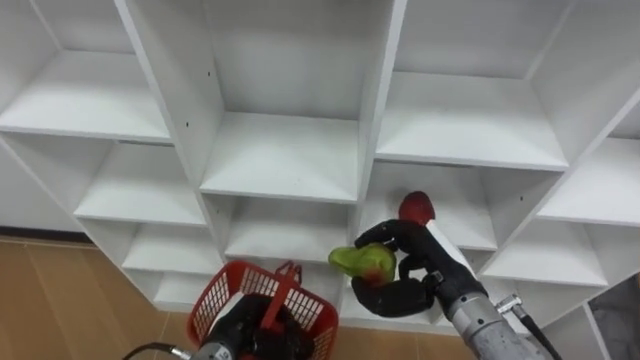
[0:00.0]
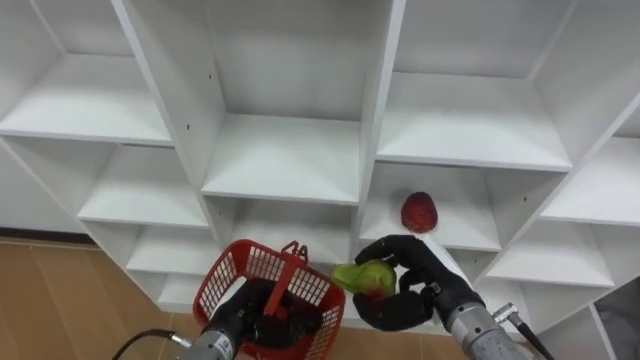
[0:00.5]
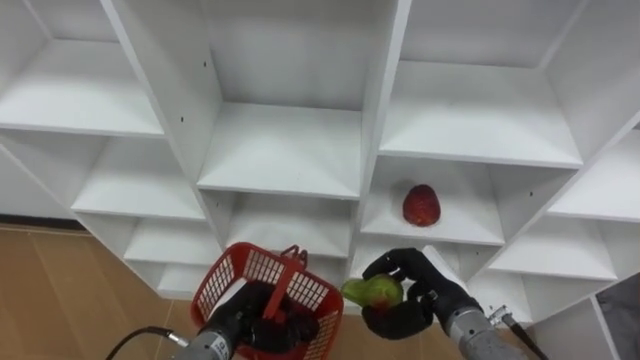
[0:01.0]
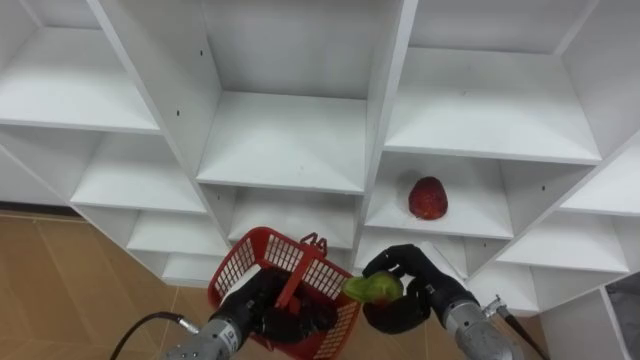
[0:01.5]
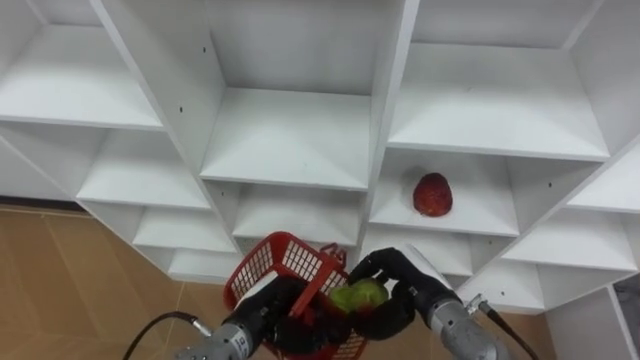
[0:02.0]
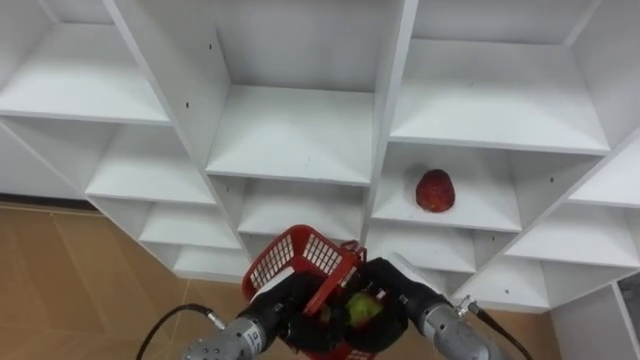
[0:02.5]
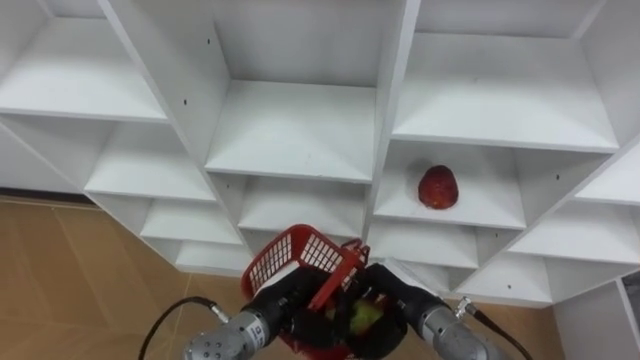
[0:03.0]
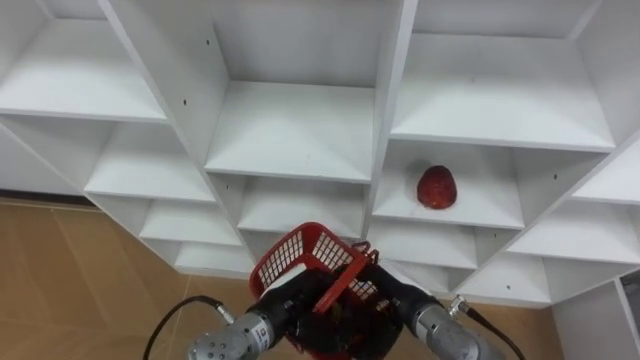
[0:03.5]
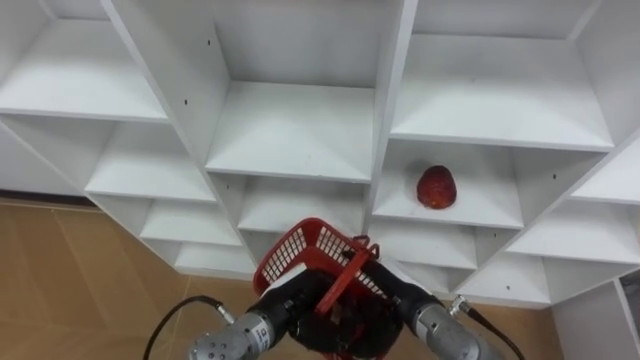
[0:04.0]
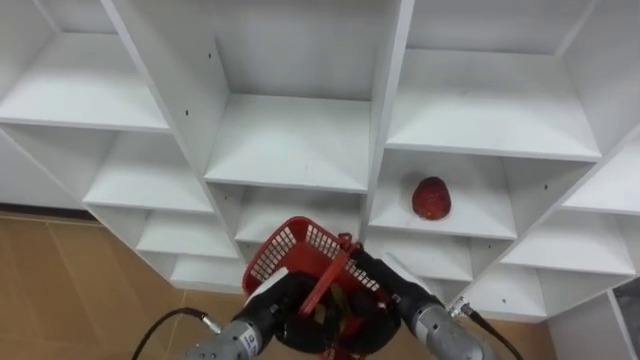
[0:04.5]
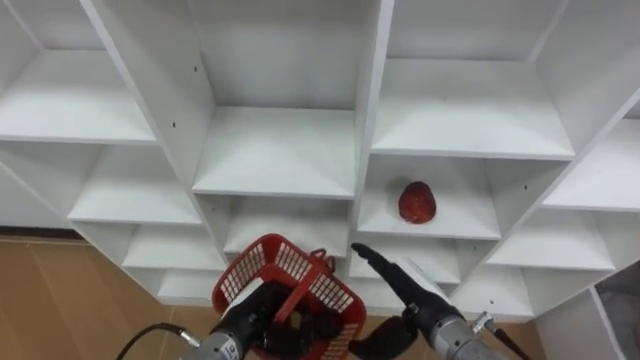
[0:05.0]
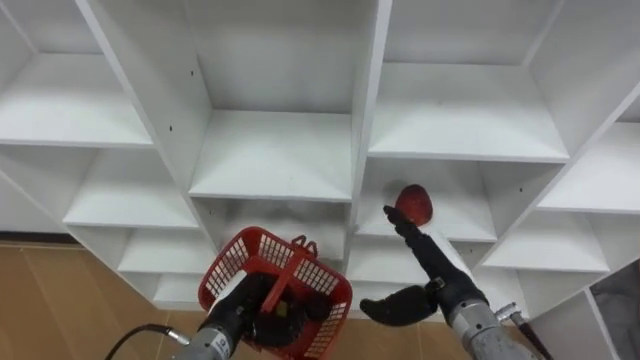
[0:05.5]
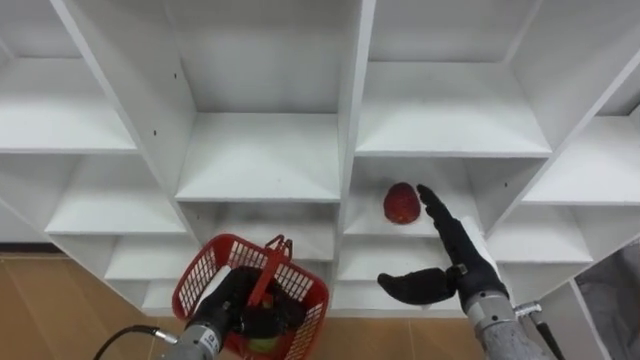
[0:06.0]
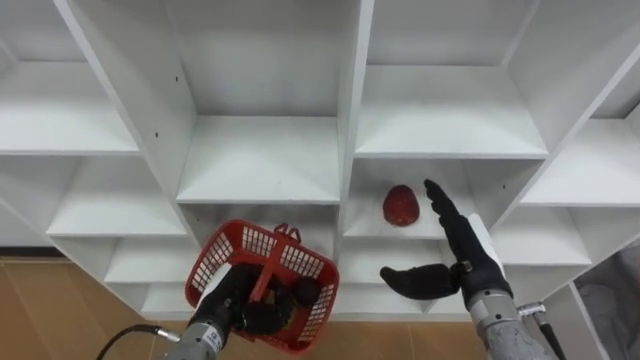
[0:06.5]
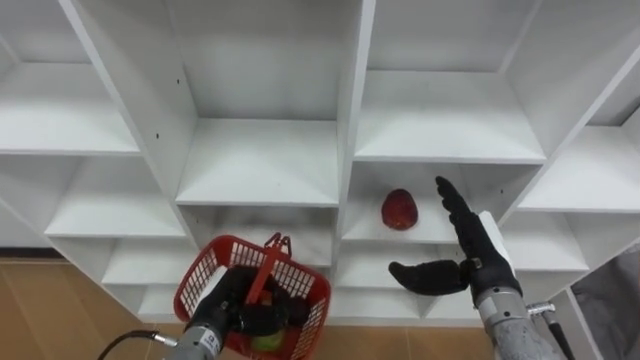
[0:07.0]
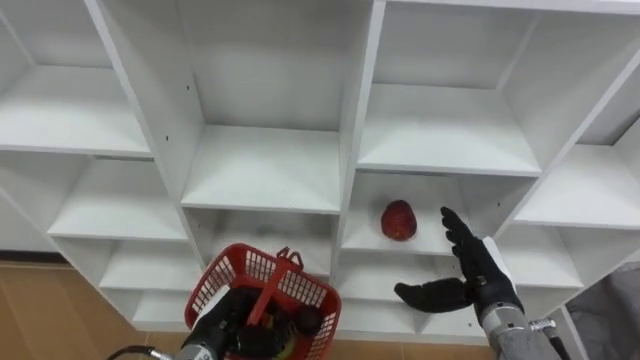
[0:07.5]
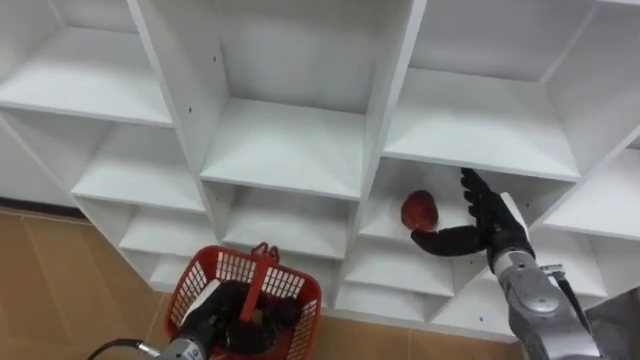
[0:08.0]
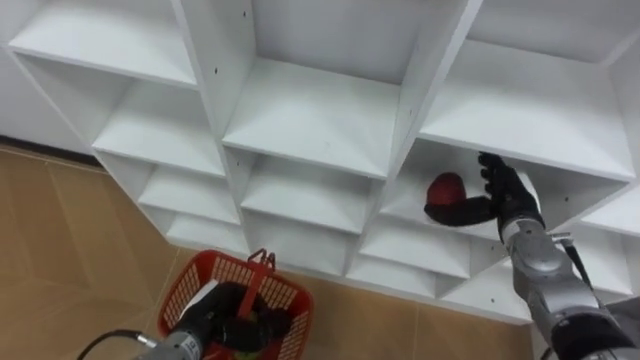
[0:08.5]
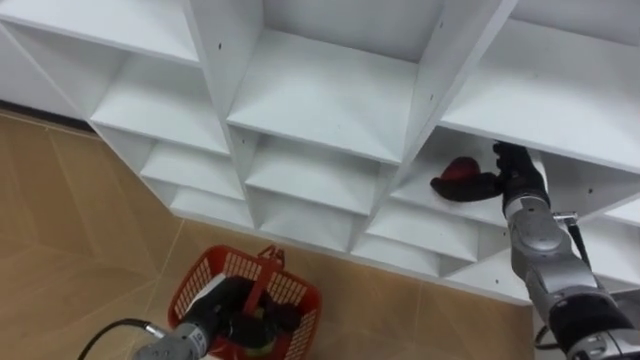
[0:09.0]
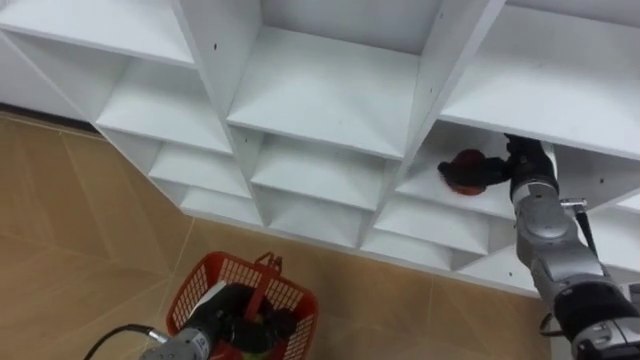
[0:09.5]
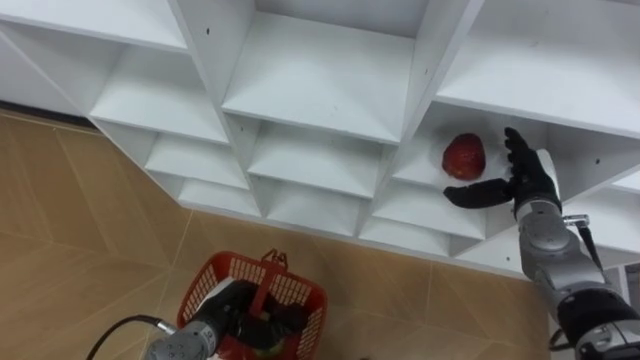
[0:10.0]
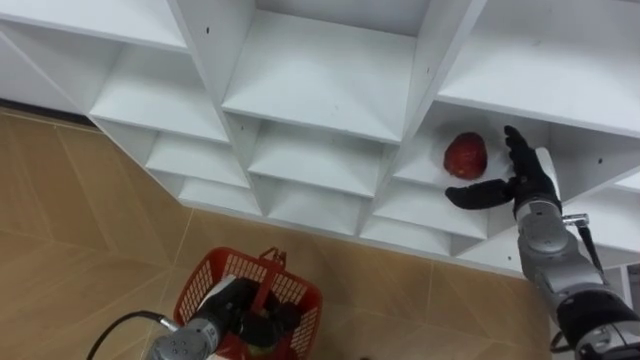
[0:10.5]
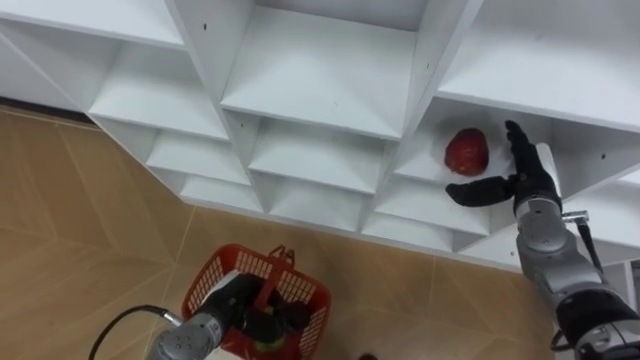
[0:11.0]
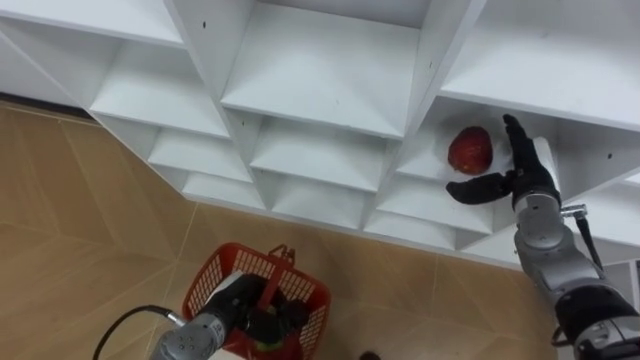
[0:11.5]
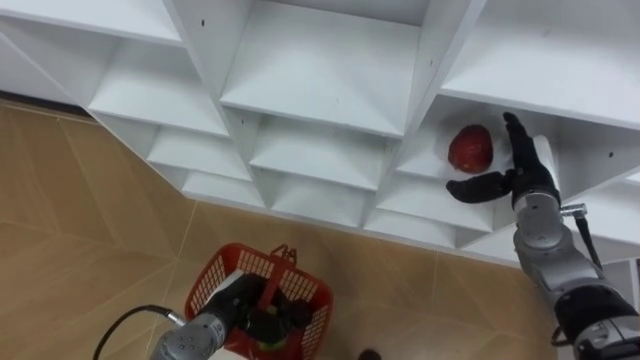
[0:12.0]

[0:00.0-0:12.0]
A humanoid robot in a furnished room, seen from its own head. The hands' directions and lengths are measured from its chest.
Task of the whole recording: Hold the basket and collect the fruits from 3 different cells of the closet into it.
0:00.0 to 0:02.0: The right hand goes approximately 5 cm downward. The left hand moves approximately 5 cm.
0:02.0 to 0:04.0: The right hand opens.
0:04.0 to 0:06.0: The right hand shifts about 10 cm to the right and upward, while the left hand shifts about 10 cm to the left.
0:06.0 to 0:08.0: The right hand shifts roughly 5 cm forward and to the right.
0:08.0 to 0:10.0: The right hand shifts roughly 5 cm forward.

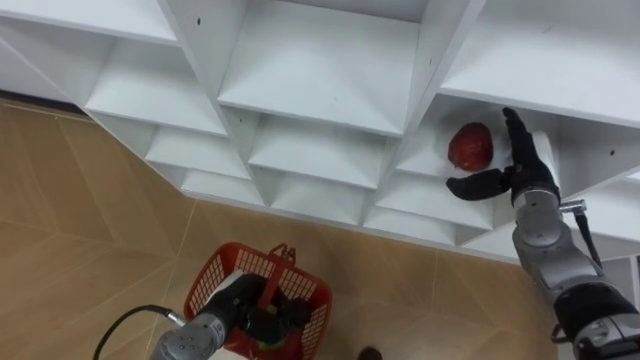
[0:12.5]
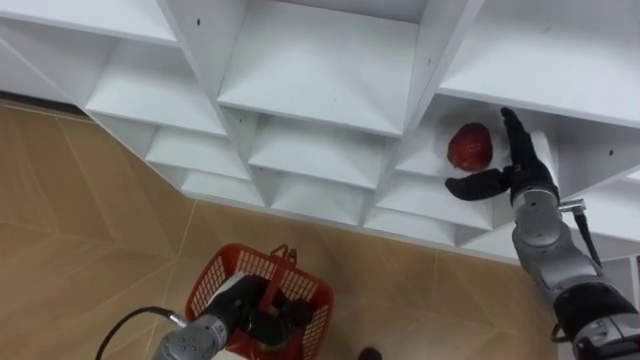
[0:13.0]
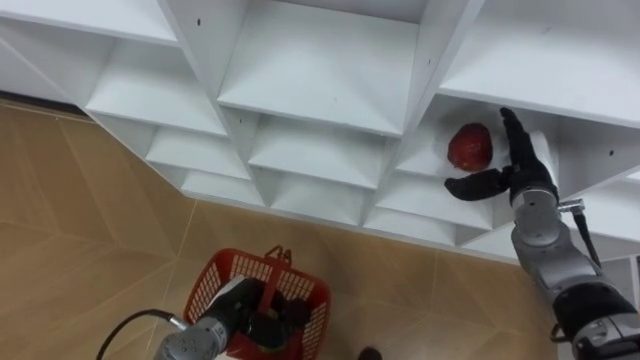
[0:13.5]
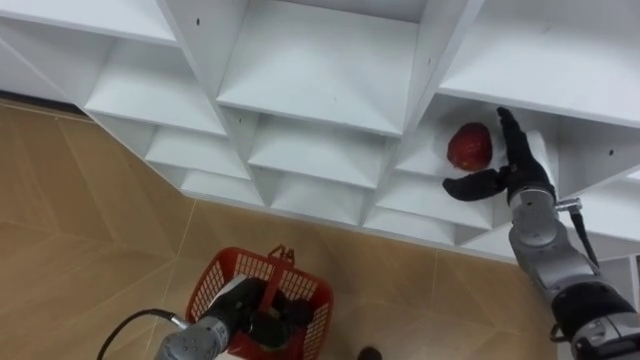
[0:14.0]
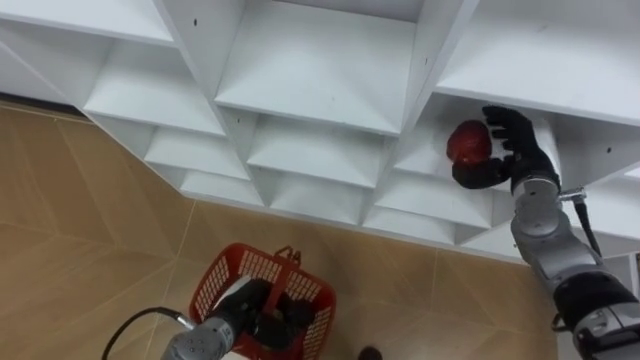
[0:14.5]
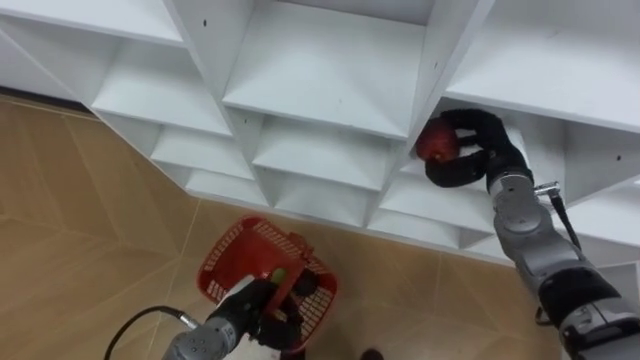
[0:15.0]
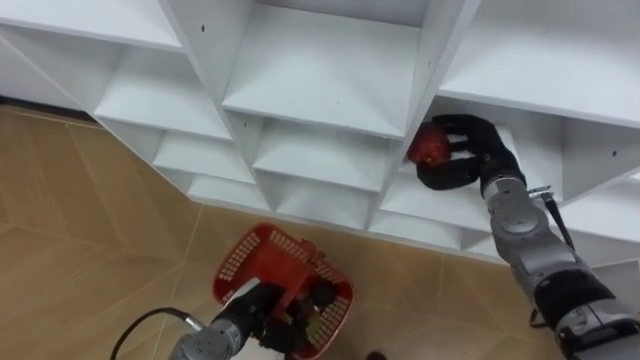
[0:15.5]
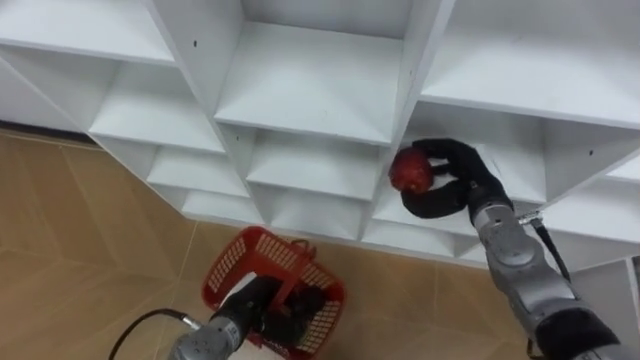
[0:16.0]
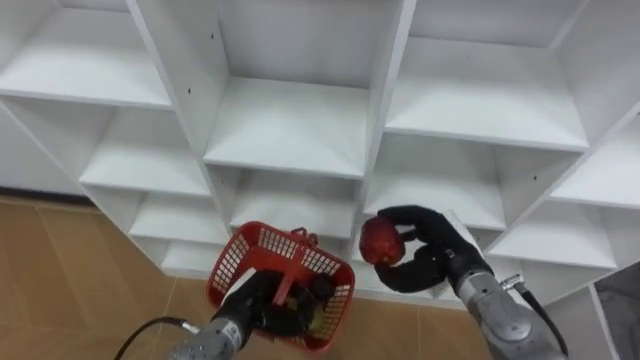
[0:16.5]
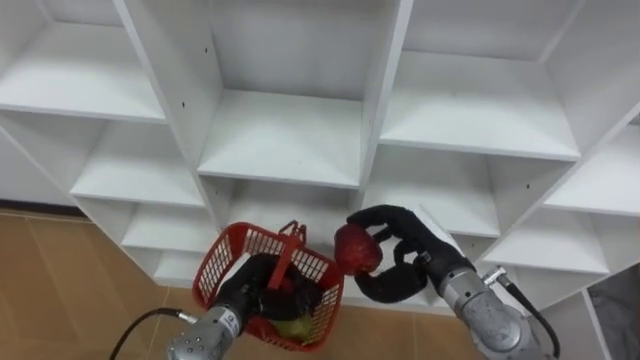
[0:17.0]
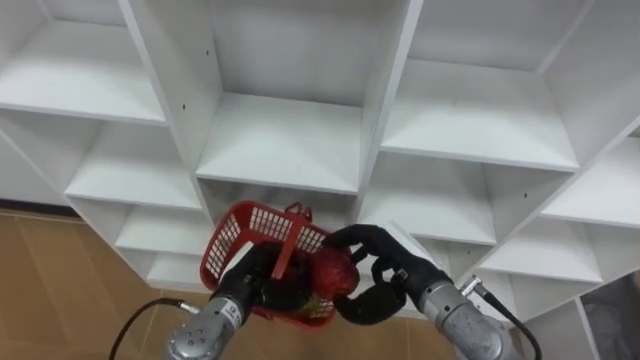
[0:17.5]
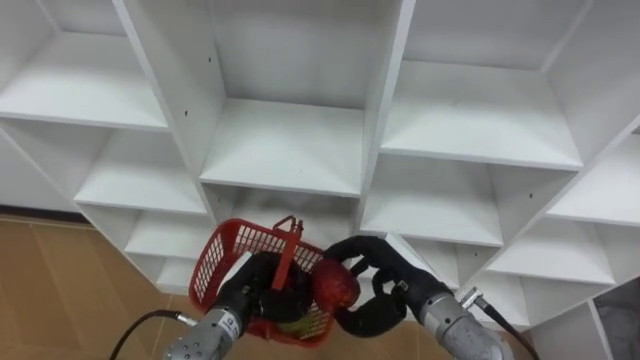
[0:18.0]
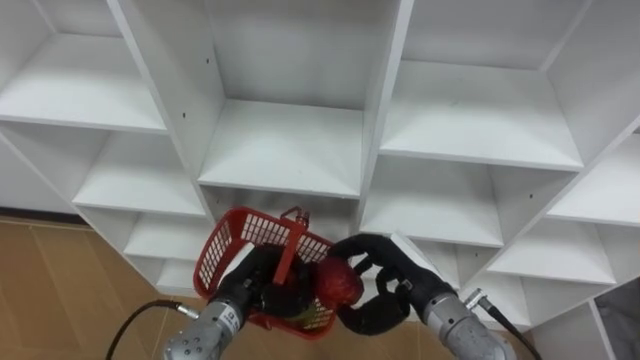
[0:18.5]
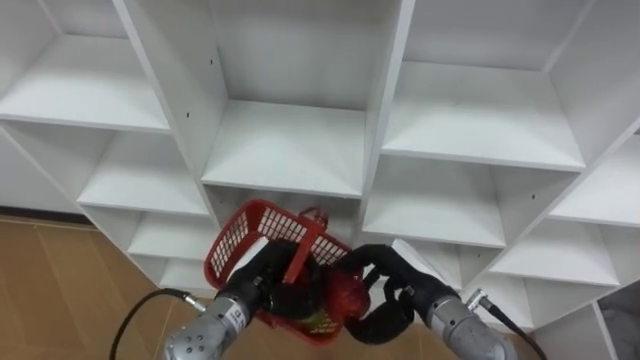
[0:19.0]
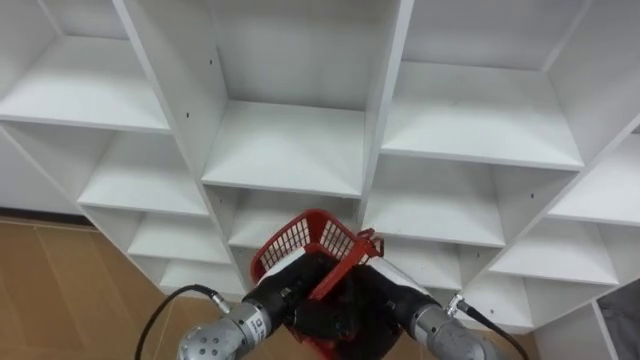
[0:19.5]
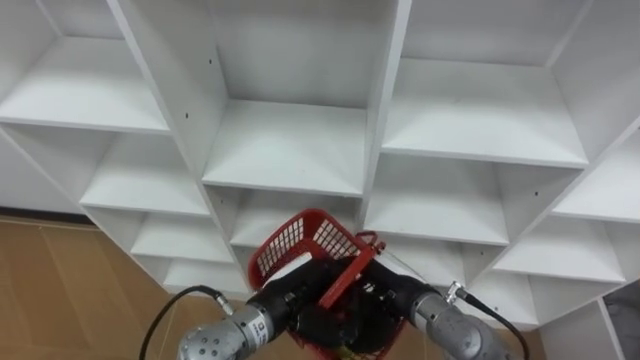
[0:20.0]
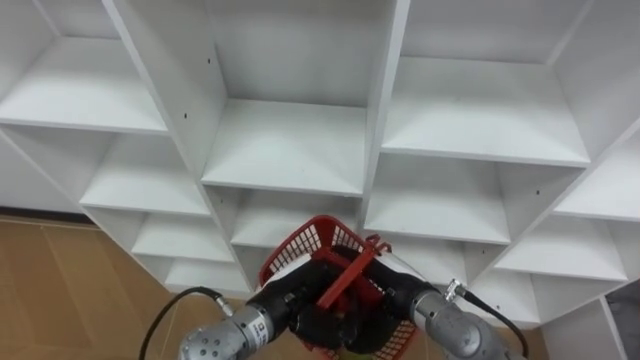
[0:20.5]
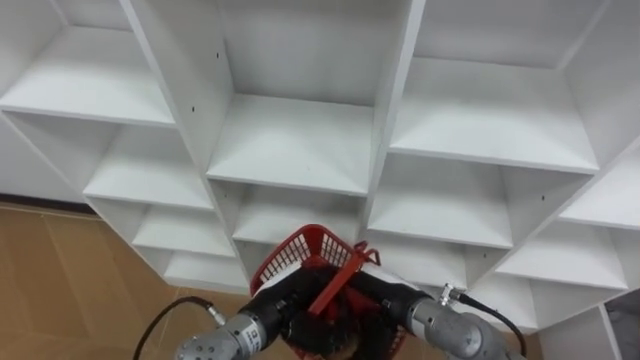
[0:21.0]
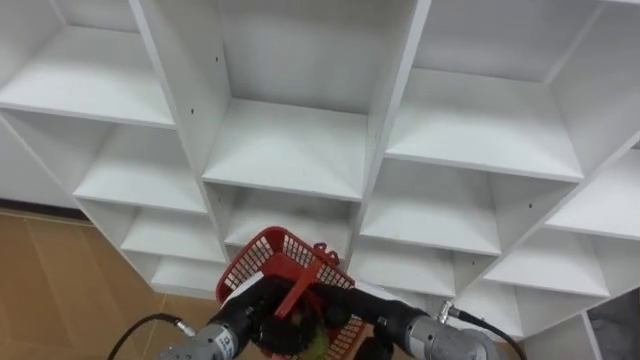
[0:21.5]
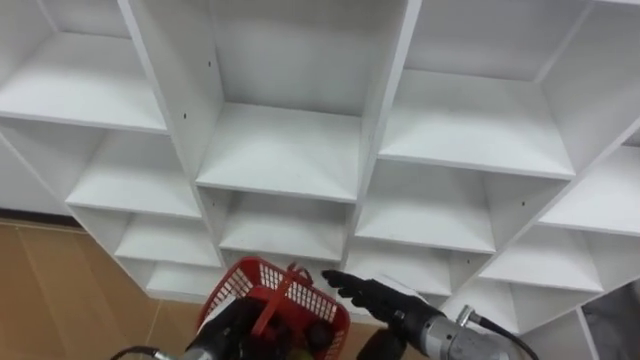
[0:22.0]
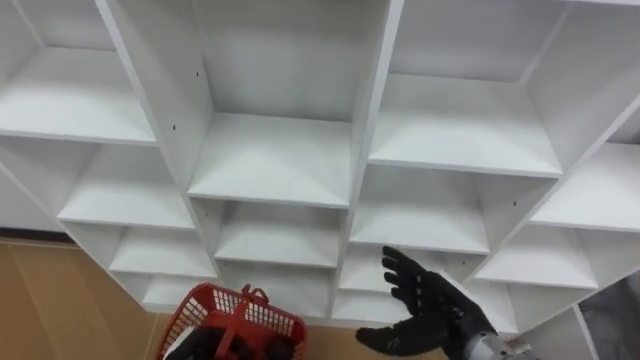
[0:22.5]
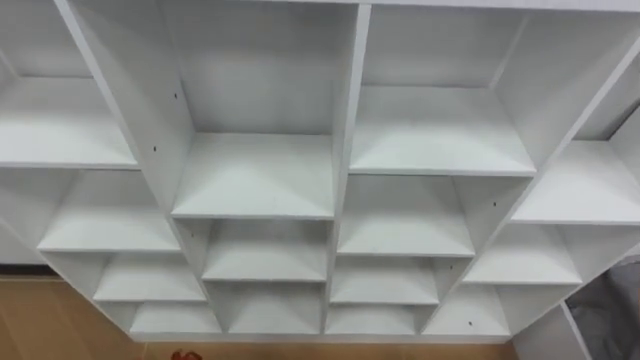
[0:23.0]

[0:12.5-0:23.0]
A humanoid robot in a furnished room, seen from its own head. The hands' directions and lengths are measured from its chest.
Task of the whole recording: Hold the basket and collect the fruits from 3 different cells of the closet into it.
0:12.5 to 0:14.5: The hands move only a little.
0:14.5 to 0:16.5: The right hand moves backward, to the left and downward, approximately 15 cm.
0:16.5 to 0:19.0: The left hand moves upward, roughly 5 cm. Meanwhile the right hand shifts about 5 cm to the left.
0:19.0 to 0:21.0: The right hand opens.
